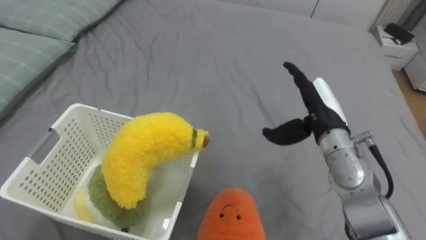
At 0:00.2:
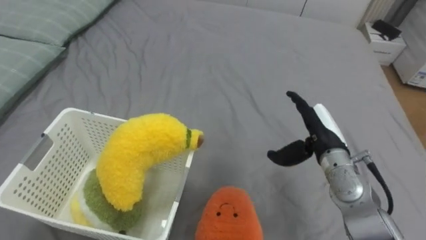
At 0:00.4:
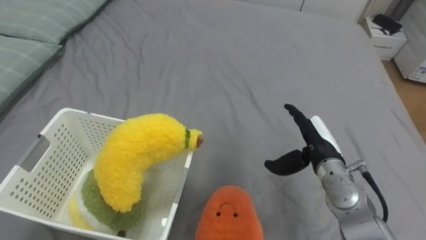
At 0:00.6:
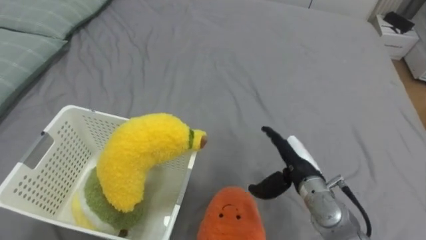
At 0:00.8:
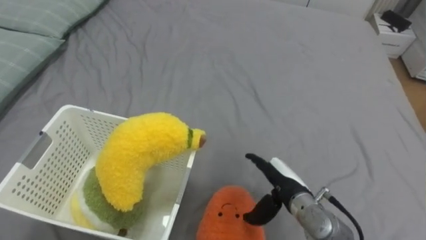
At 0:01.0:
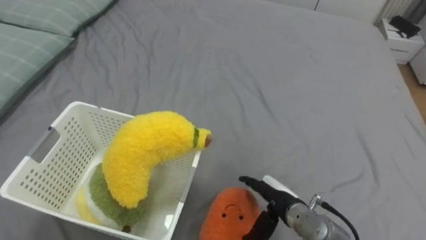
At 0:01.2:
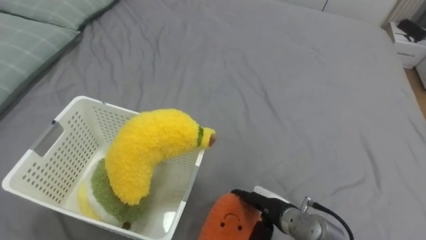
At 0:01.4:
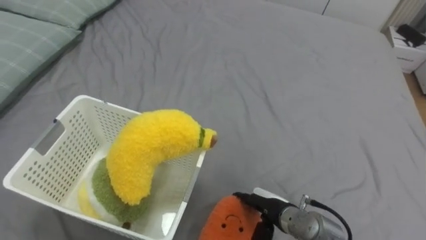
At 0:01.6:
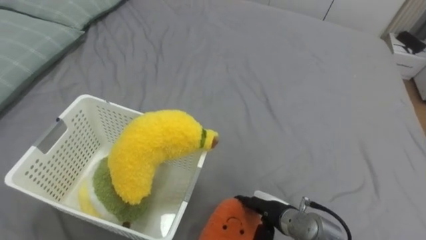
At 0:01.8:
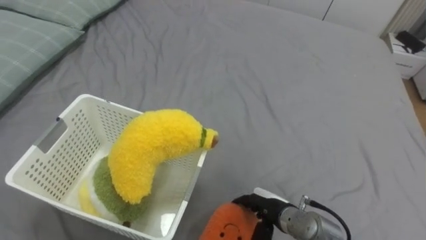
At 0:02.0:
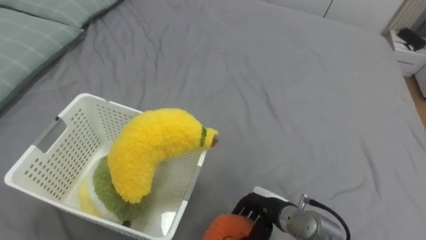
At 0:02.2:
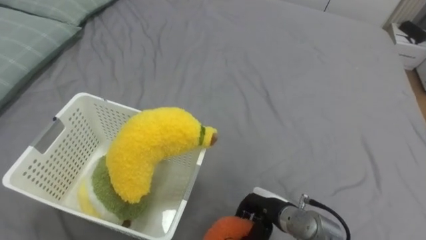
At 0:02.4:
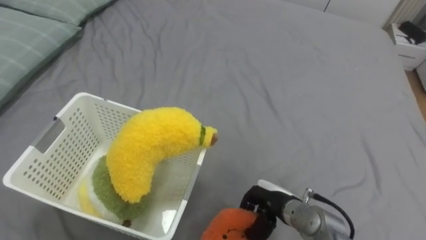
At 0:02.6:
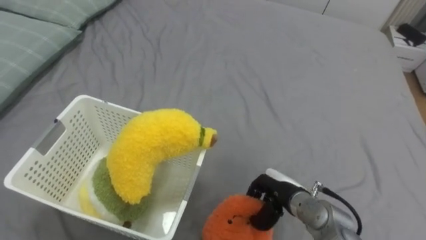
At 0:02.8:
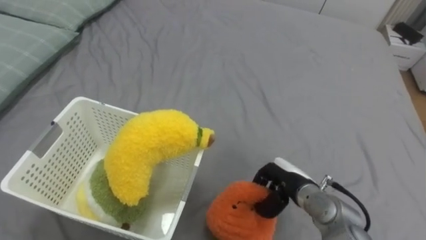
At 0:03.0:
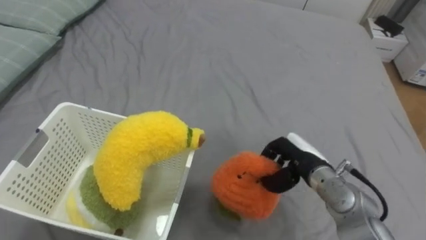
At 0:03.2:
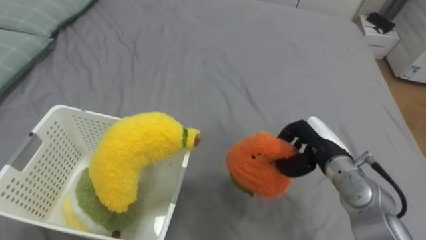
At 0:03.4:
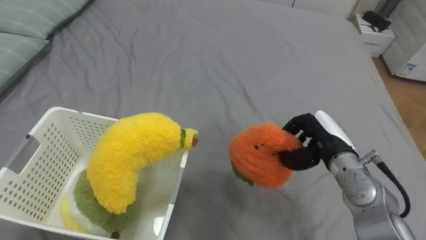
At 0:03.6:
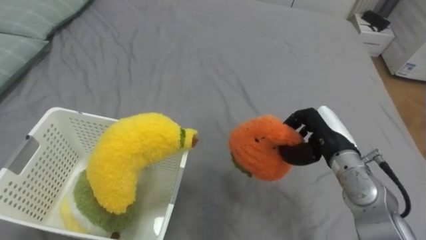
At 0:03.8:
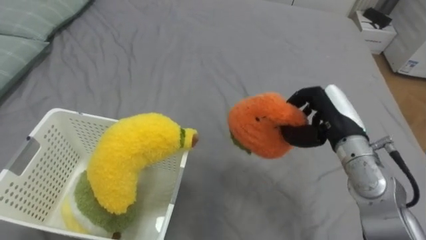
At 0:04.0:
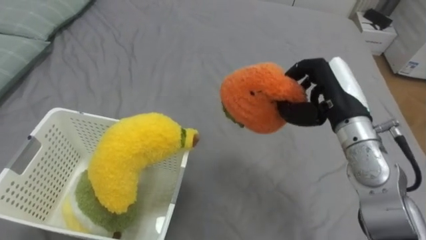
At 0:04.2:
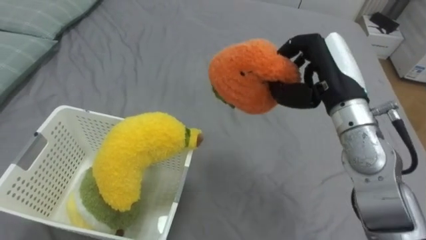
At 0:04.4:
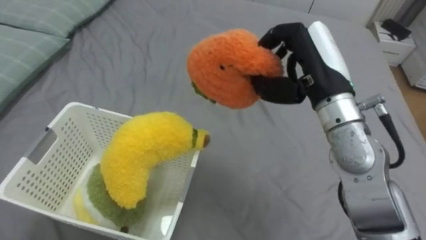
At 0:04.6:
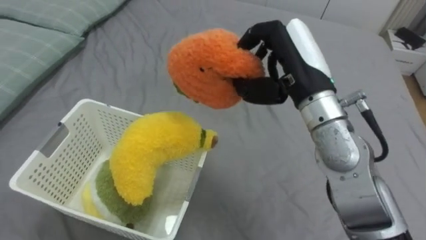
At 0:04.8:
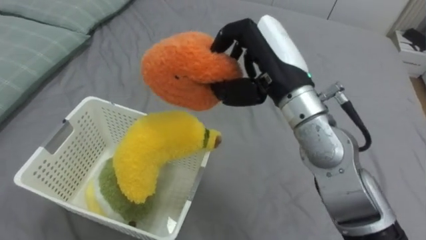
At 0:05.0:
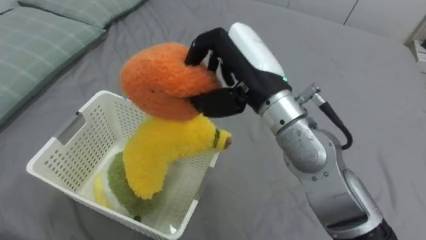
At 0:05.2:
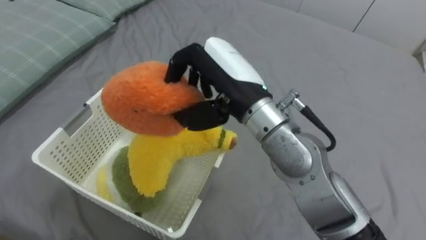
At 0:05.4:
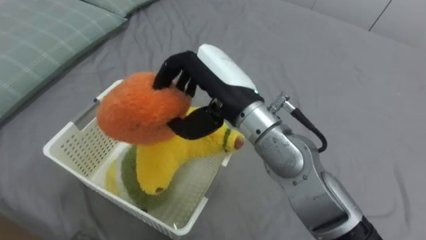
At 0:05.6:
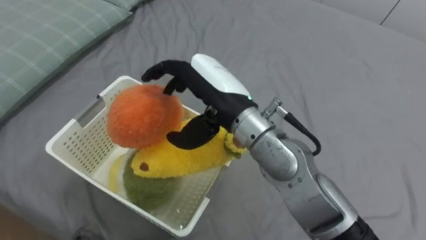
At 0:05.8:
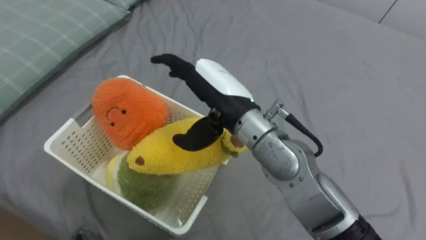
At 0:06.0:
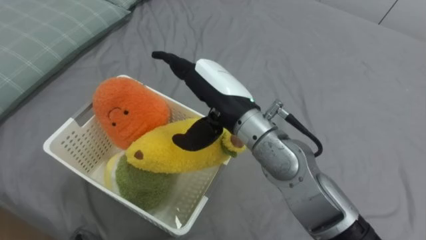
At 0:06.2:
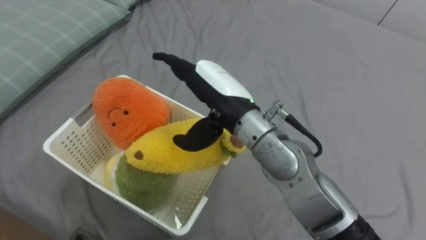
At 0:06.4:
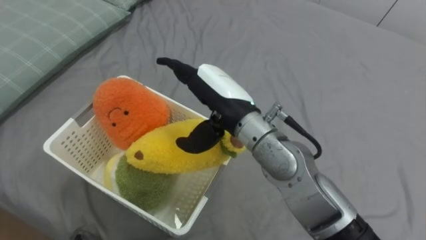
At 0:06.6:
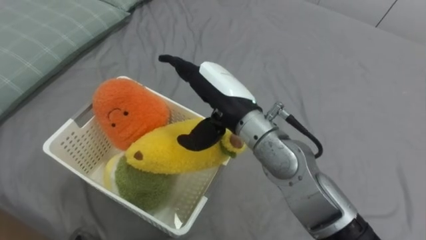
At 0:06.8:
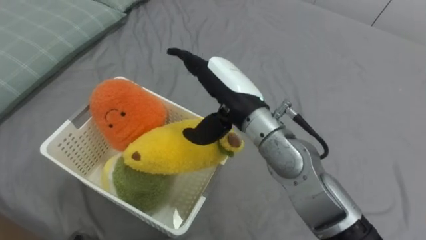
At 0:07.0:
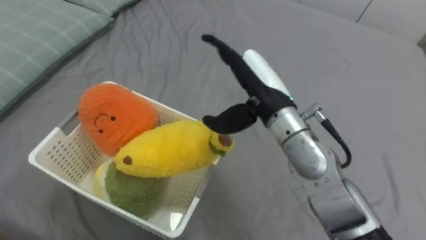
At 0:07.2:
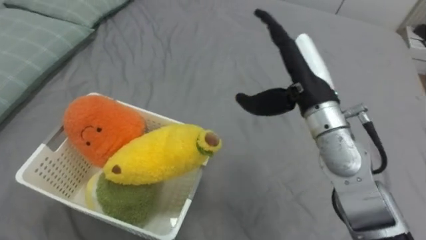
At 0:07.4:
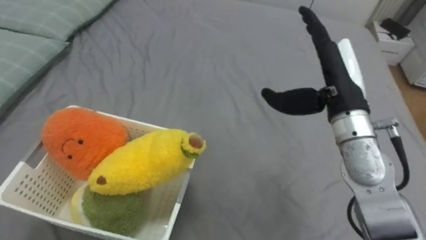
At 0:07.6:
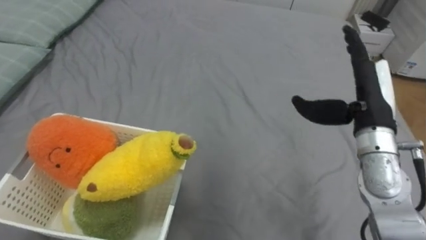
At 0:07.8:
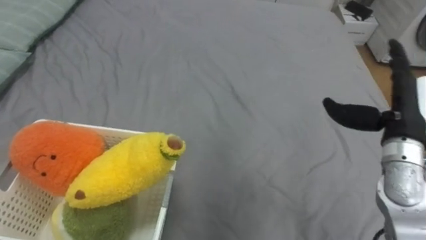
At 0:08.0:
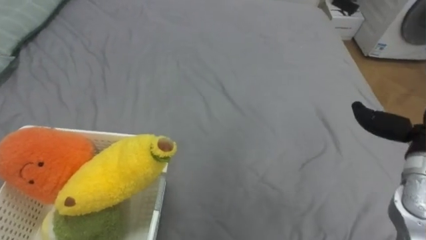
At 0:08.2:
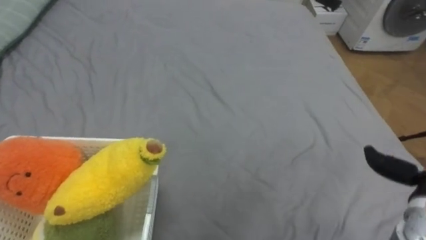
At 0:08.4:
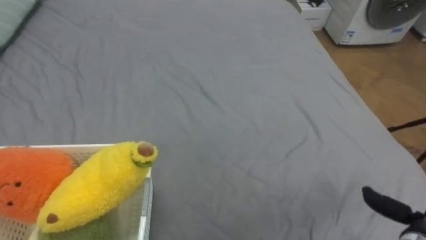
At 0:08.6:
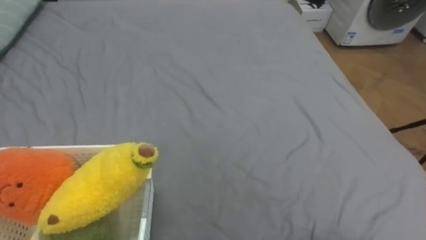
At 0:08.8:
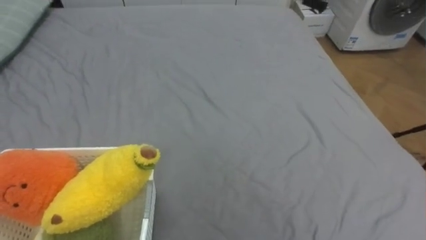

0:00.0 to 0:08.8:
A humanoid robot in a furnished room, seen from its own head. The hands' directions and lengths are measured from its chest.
Task of the whole recording: Put the toys on the bed into the basket on the left.
0:00.0 to 0:01.4: The right hand is displaced downward, backward and to the left by some 25 cm.
0:01.4 to 0:03.0: The right hand is displaced upward, forward and to the right by some 10 cm, and closes.
0:03.0 to 0:04.4: The right hand travels upward by some 20 cm.
0:04.4 to 0:05.8: The right hand goes roughly 15 cm to the left, and opens its fingers.
0:05.8 to 0:07.4: The right hand travels to the right by some 20 cm.

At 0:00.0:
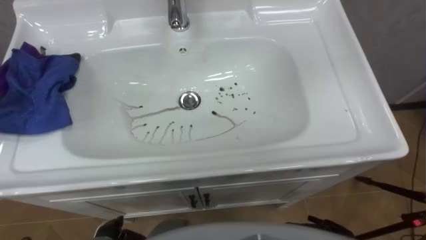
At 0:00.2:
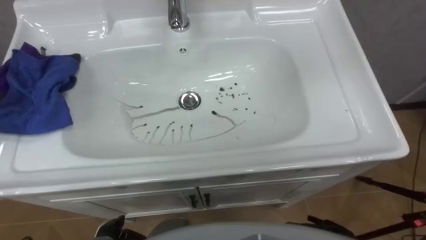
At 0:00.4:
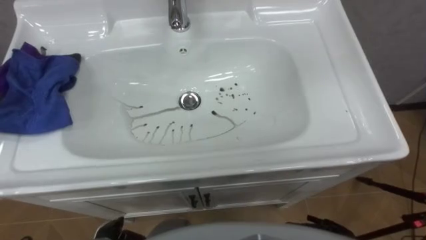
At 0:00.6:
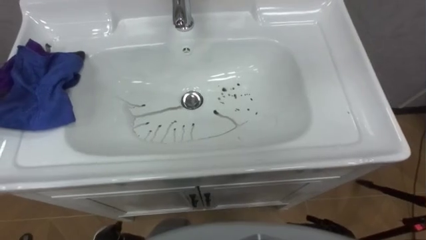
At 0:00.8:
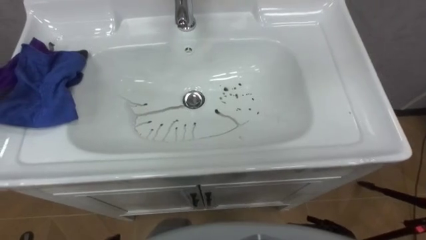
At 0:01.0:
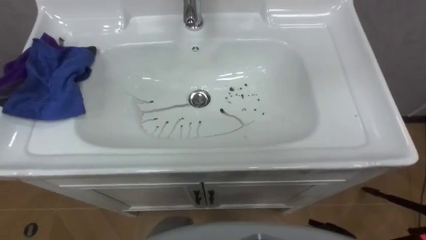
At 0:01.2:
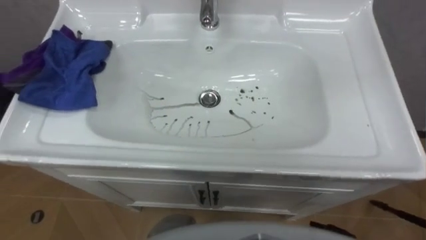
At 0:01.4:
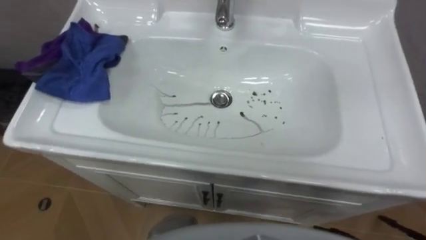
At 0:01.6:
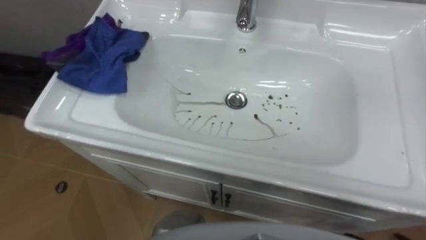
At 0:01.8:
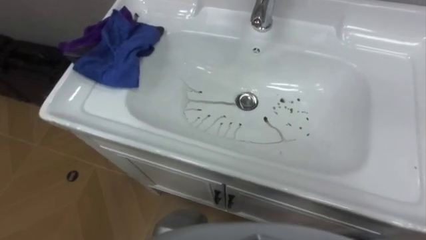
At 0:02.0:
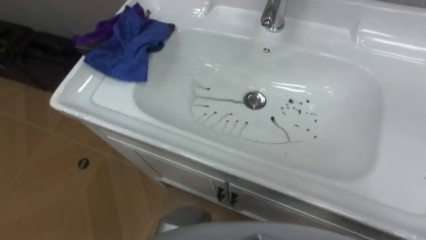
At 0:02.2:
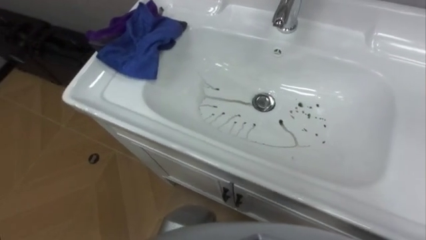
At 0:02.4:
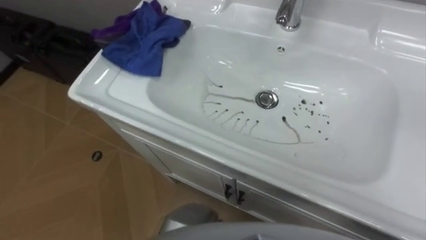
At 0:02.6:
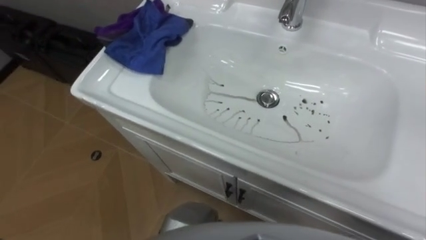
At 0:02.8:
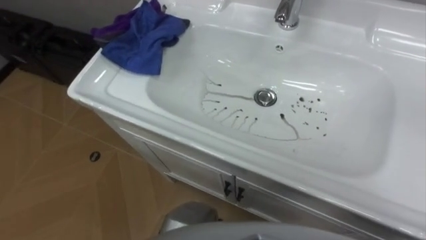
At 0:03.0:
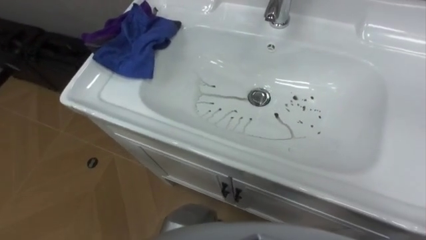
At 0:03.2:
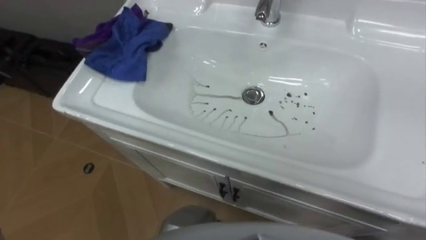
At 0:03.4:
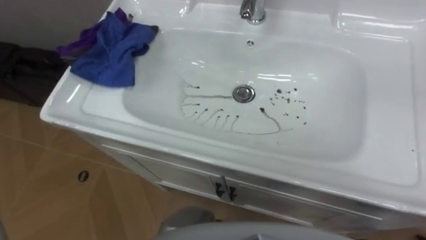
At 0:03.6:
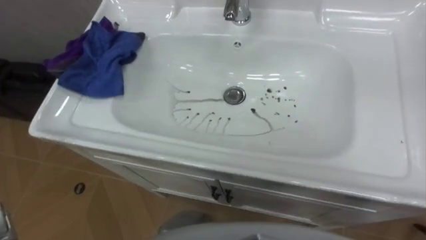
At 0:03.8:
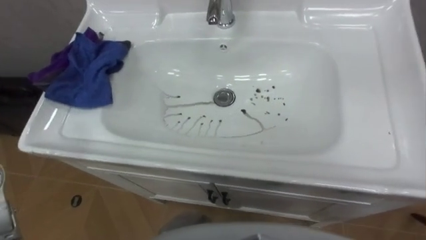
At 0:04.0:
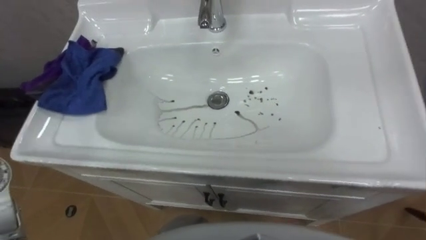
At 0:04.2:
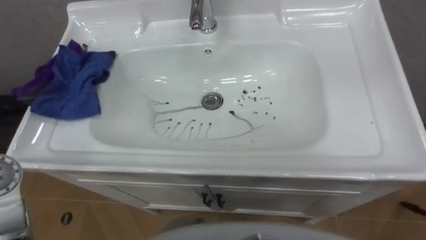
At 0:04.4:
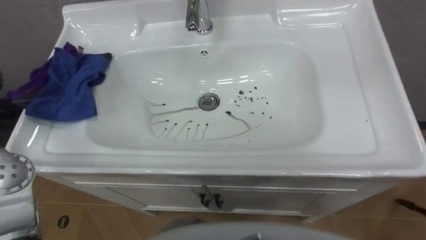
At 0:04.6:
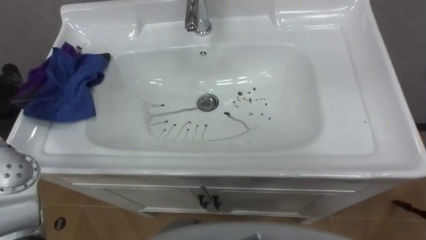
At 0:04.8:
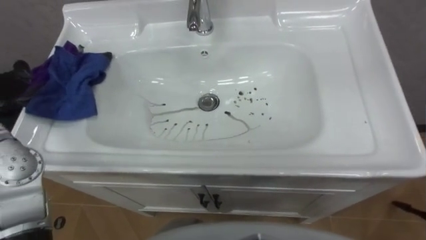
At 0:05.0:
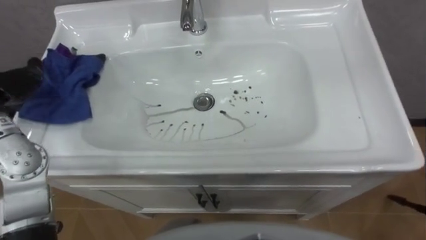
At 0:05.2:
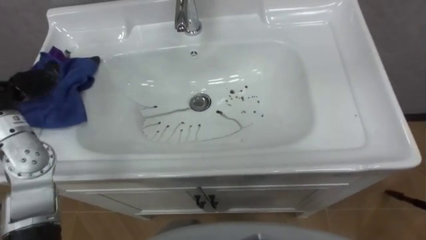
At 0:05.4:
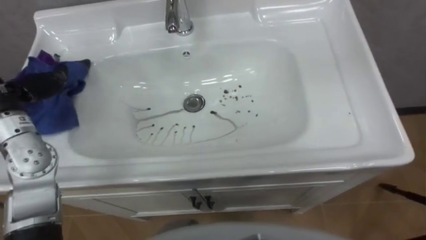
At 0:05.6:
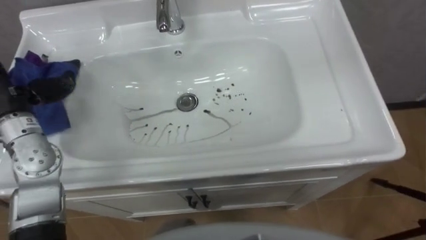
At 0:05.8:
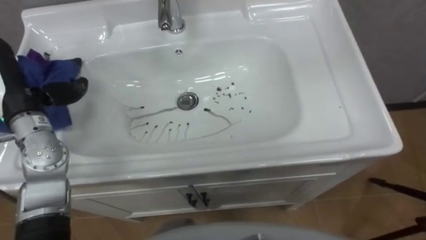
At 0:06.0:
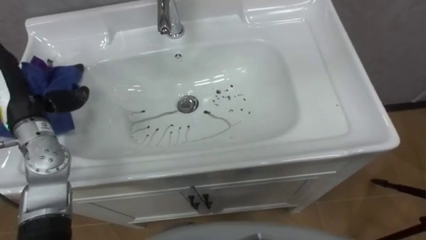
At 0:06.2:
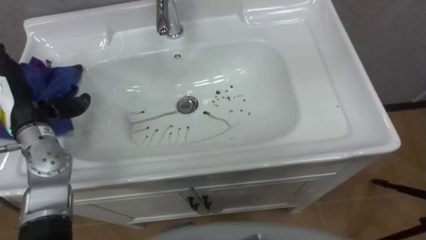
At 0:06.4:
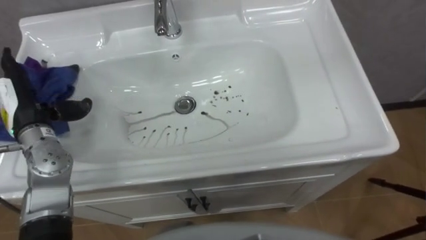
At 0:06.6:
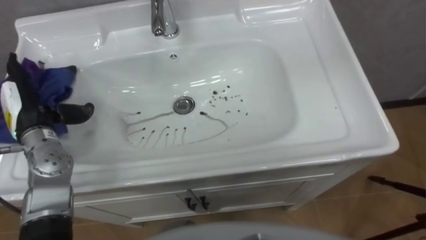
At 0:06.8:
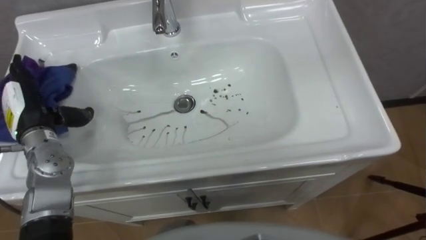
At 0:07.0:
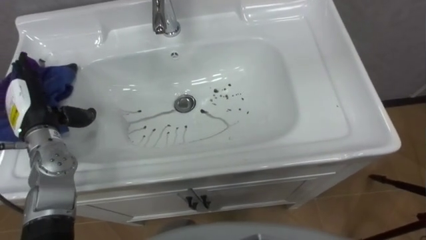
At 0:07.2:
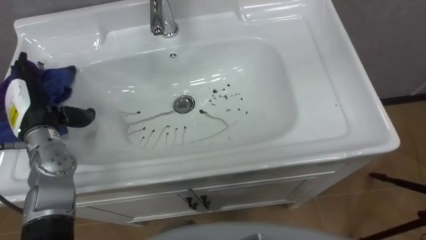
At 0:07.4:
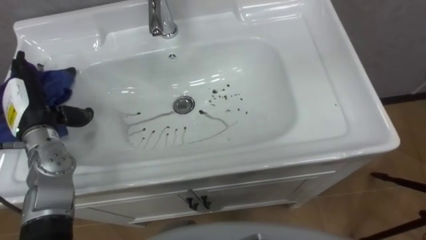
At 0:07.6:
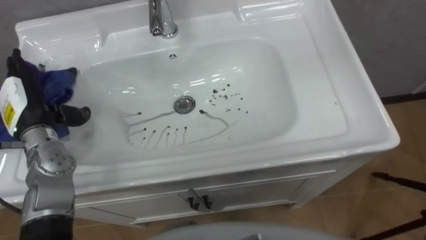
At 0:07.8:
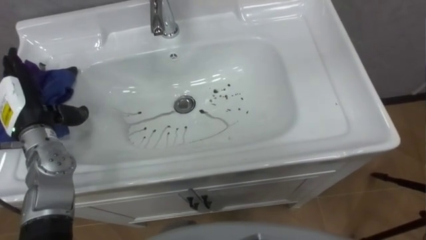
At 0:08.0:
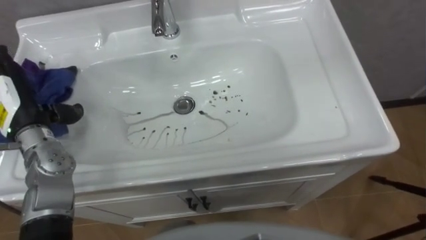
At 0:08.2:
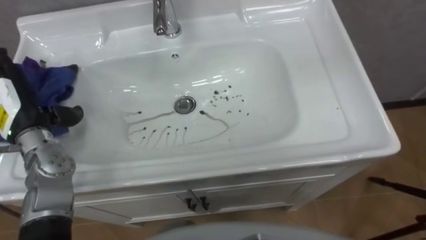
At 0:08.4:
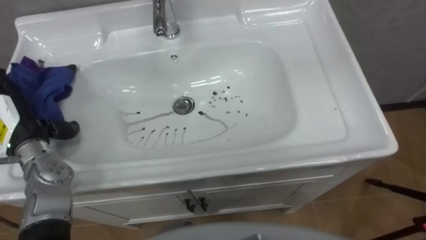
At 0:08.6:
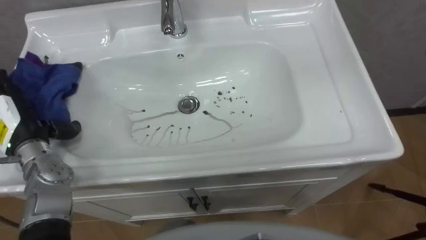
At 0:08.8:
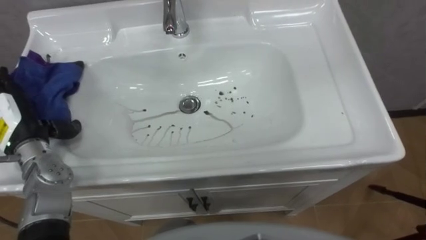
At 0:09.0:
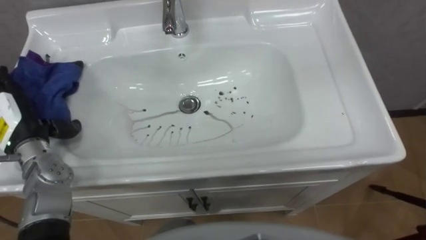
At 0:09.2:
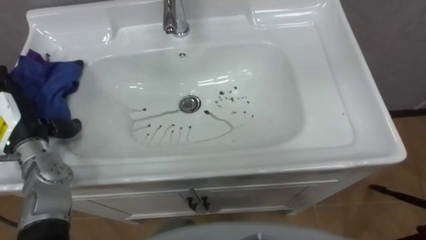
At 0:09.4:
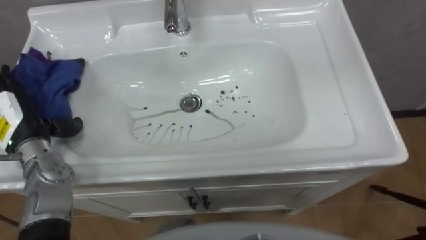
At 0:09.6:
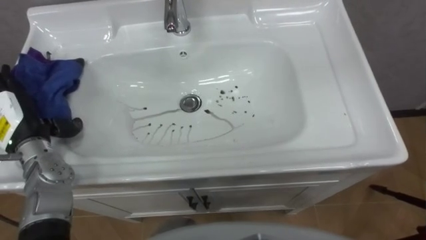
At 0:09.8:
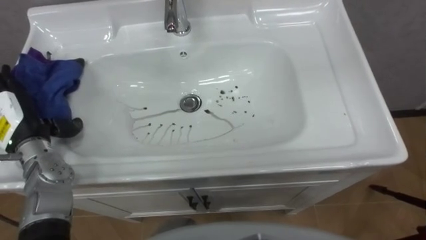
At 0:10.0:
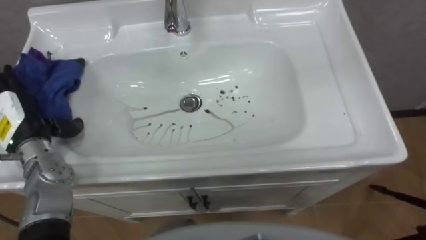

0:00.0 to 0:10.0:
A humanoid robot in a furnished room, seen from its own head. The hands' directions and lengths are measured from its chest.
Task of the whole recording: Use the cloth on the right to wipe away the black stain in the sink.
0:05.8 to 0:07.2: The left hand shifts approximately 5 cm downward.
